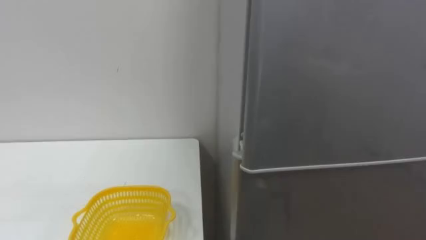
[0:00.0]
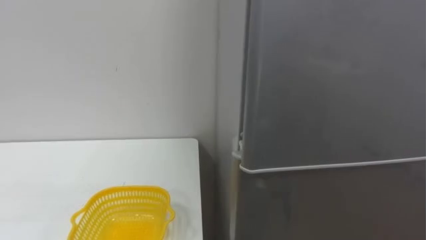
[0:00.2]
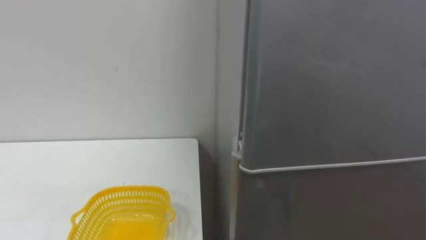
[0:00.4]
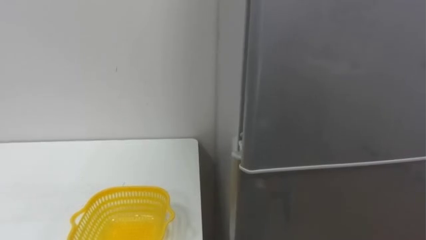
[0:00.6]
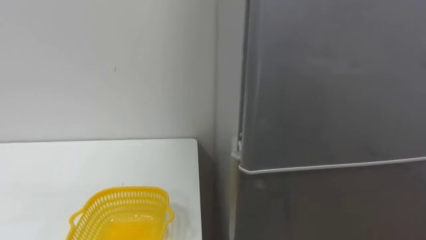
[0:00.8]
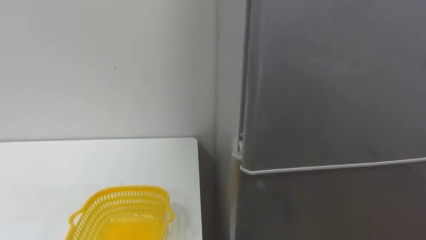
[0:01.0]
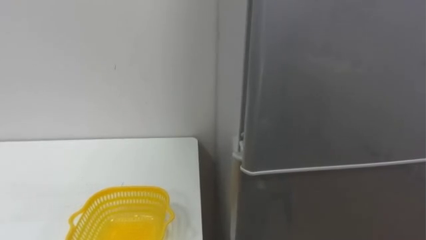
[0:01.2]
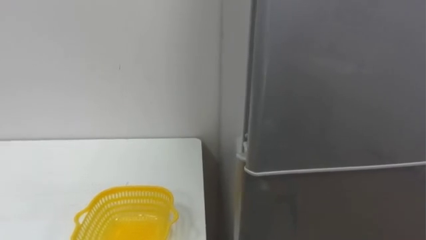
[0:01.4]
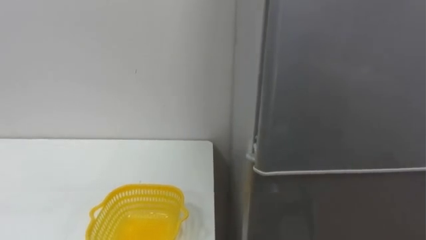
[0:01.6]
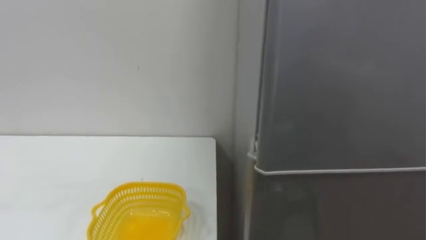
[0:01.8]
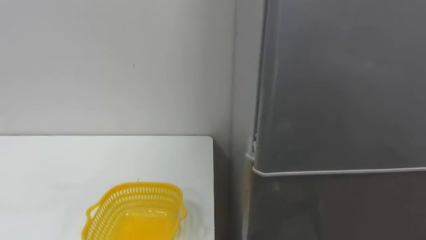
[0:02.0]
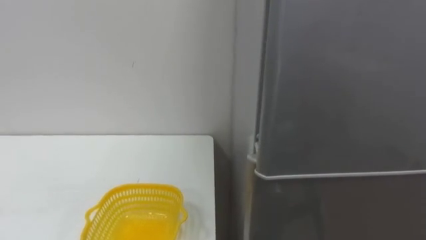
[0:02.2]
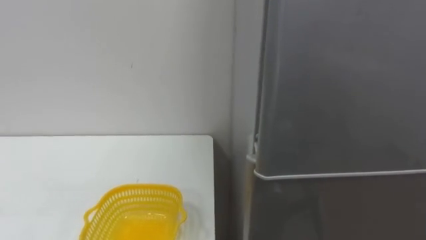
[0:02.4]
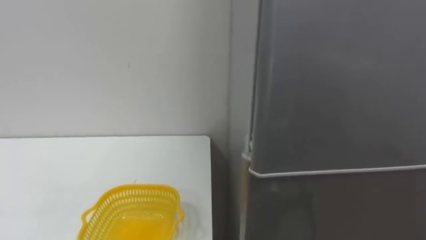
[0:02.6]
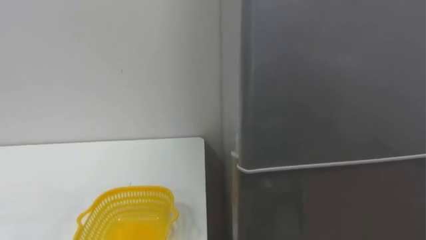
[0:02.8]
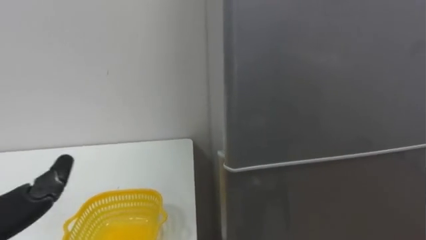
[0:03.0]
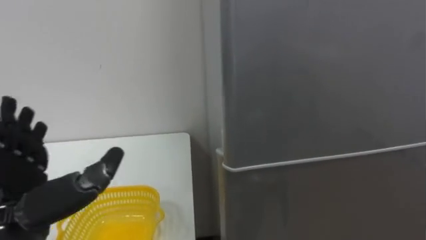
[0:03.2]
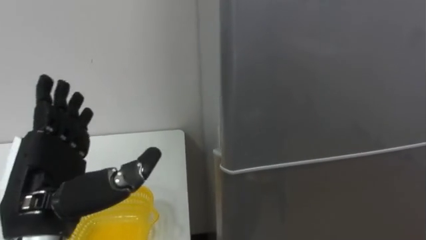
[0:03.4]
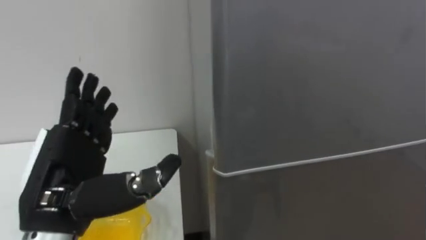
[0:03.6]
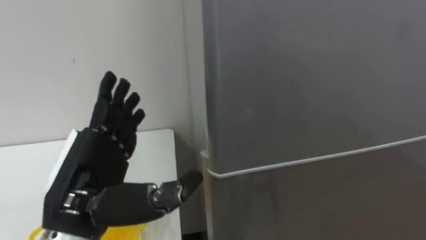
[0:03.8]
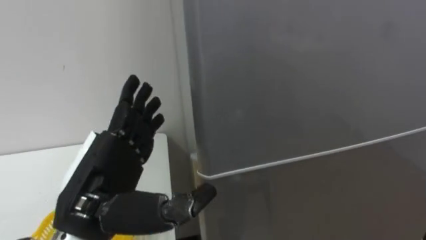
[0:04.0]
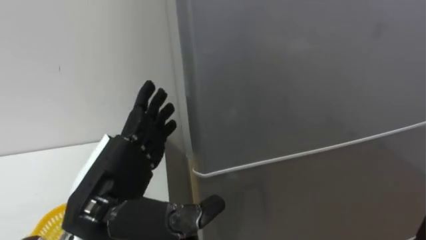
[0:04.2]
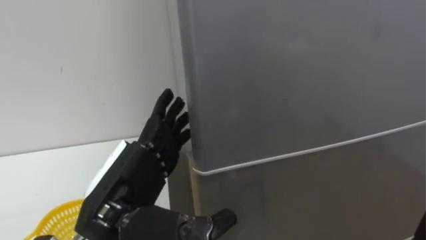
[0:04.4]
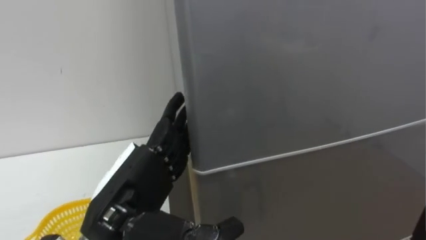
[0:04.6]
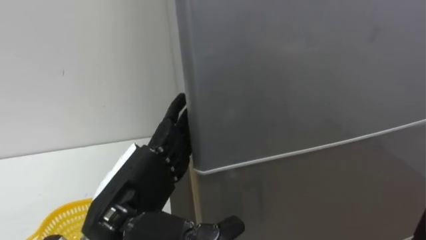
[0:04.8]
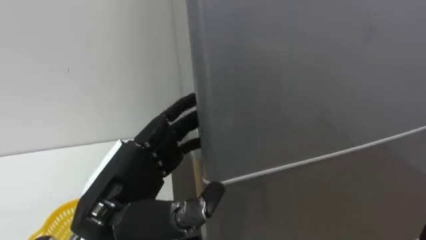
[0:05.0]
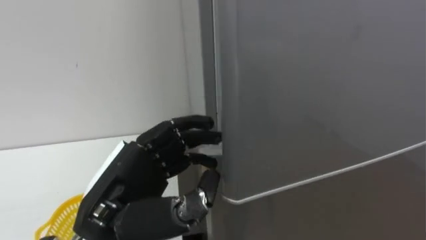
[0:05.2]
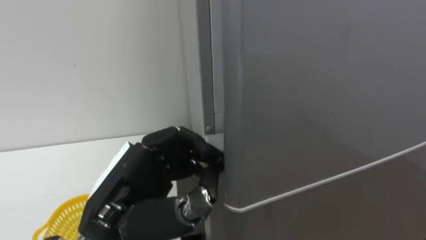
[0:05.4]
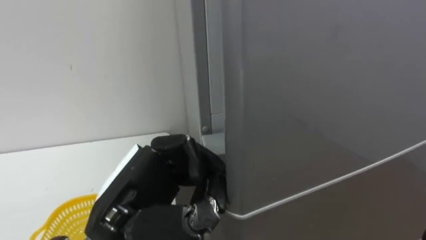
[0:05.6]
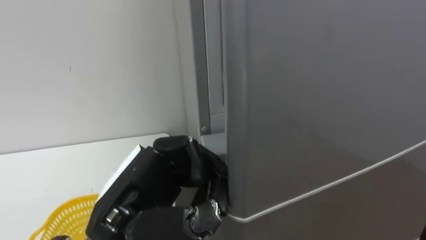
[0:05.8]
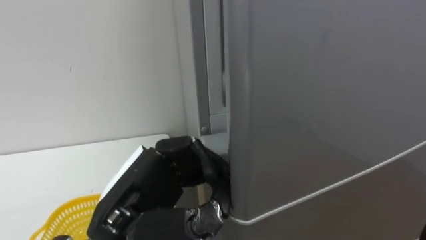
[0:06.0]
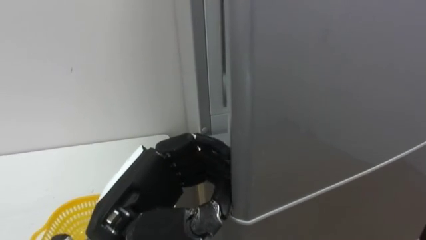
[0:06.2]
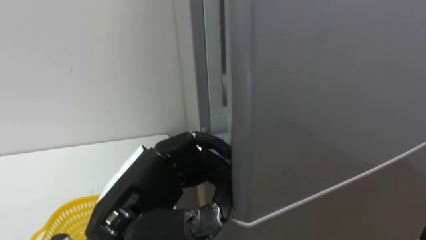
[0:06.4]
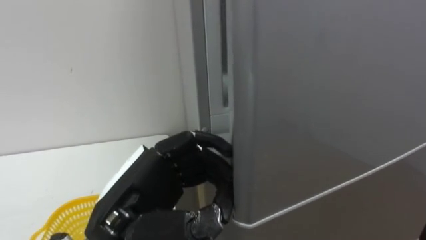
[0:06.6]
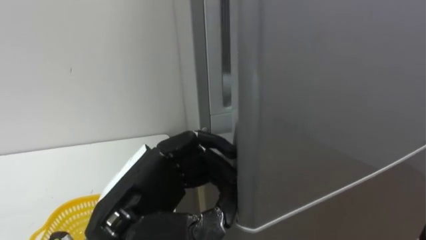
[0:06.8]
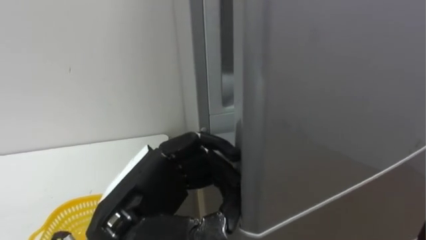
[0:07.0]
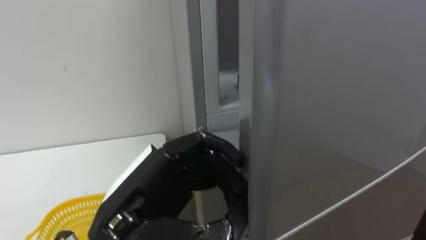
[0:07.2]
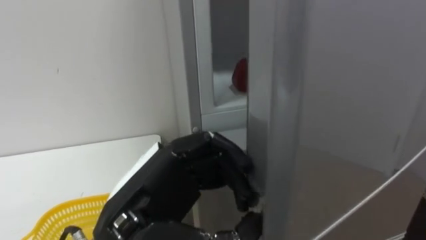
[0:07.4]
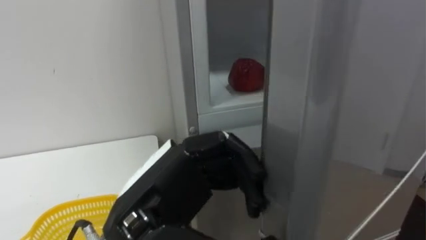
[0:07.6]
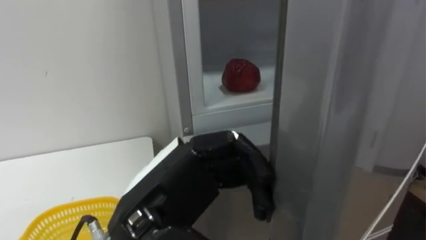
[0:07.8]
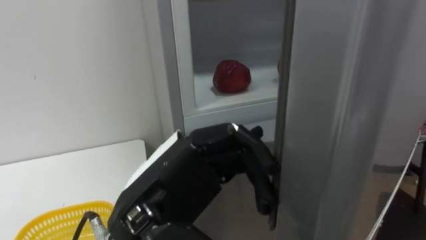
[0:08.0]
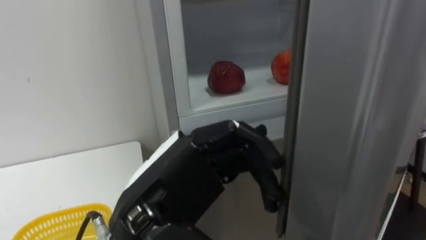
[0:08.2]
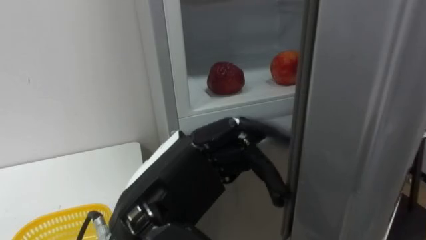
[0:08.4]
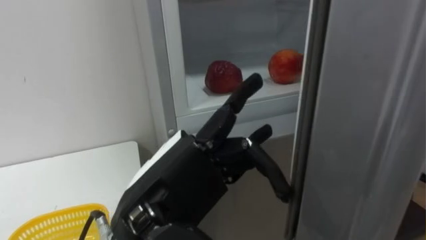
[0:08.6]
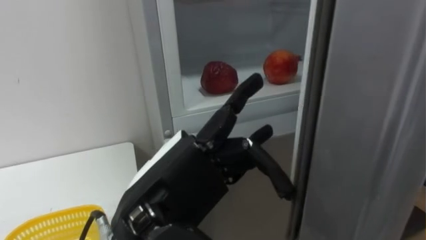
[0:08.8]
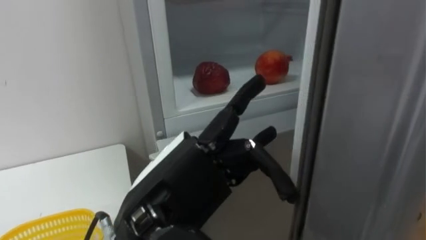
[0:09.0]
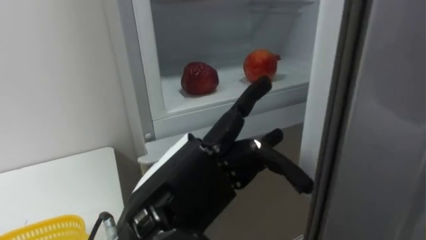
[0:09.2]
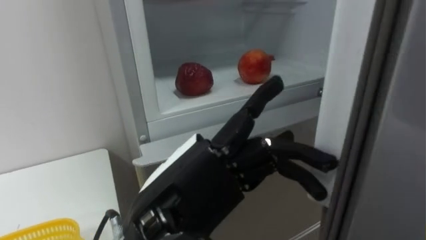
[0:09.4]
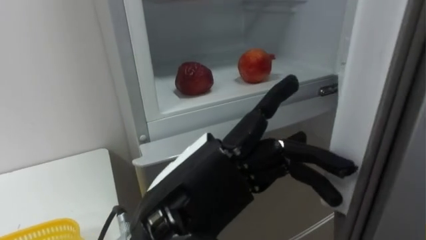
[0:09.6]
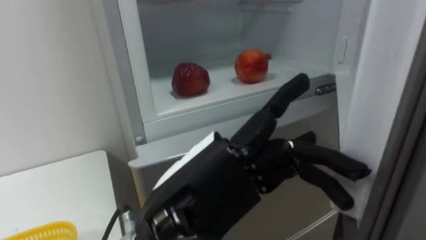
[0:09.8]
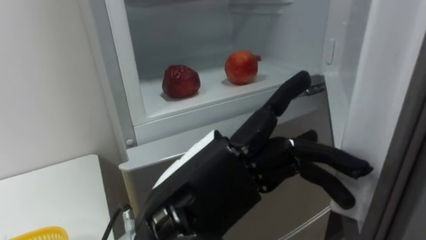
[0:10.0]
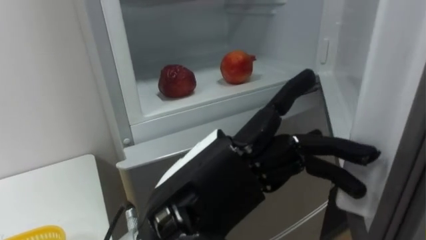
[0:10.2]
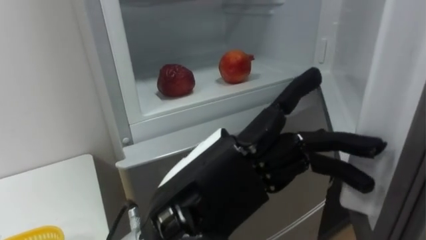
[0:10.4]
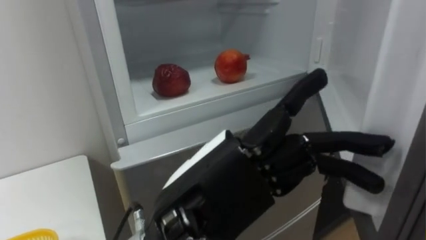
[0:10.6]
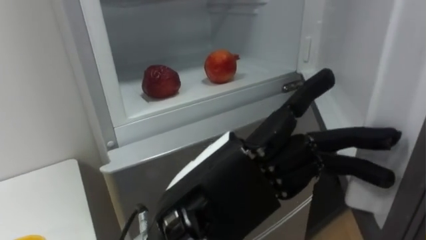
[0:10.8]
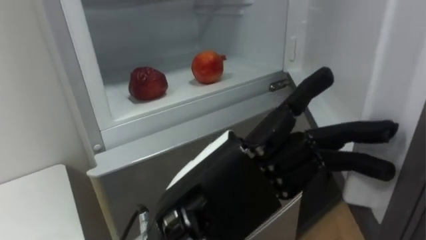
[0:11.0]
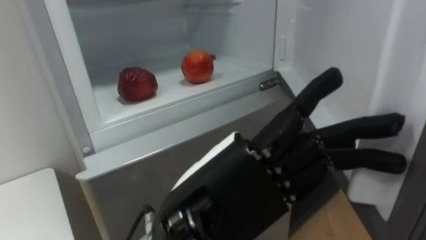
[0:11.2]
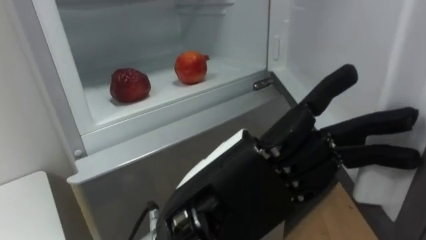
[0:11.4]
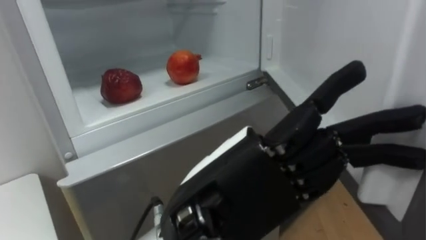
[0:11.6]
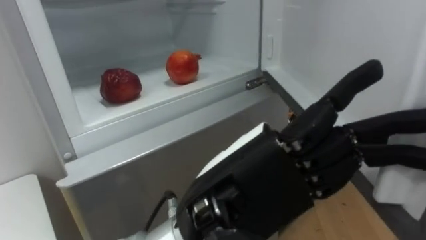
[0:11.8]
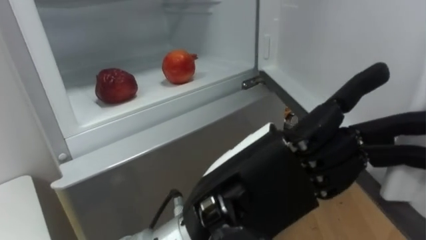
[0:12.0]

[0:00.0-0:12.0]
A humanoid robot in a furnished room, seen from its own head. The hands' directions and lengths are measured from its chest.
Task of the whole recording: Open the refrigerator door, take out the apple and the pomegranate, place them in the fruit basket on the left, and close the refrigerator door.
0:04.4 to 0:06.0: The left hand closes.
0:06.0 to 0:07.6: The left hand opens.

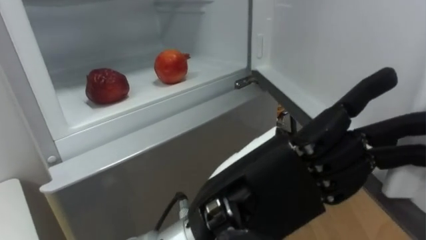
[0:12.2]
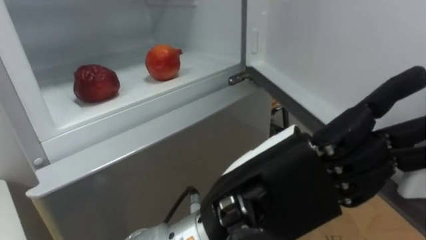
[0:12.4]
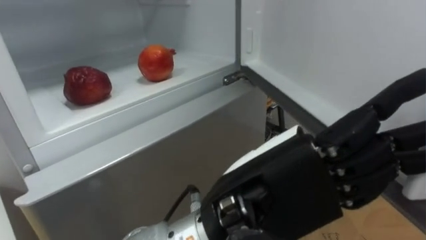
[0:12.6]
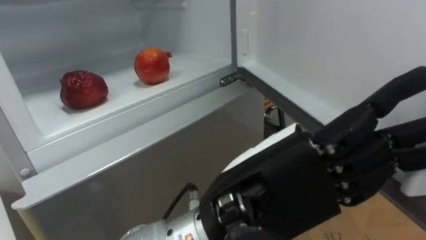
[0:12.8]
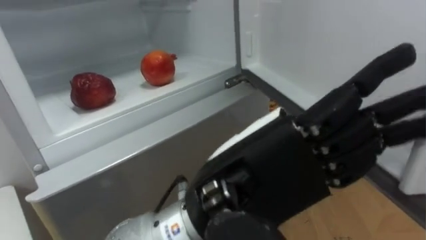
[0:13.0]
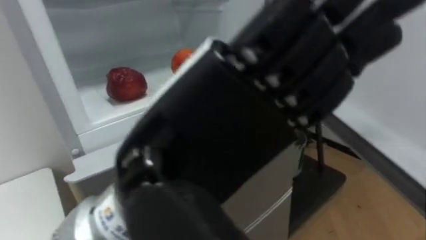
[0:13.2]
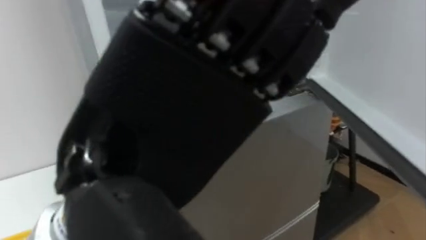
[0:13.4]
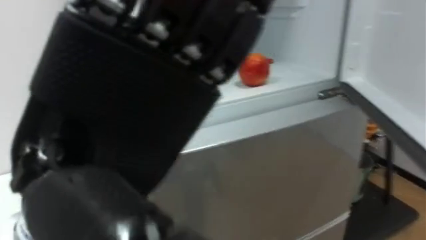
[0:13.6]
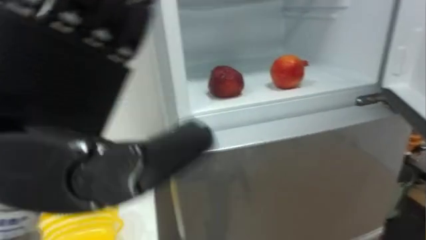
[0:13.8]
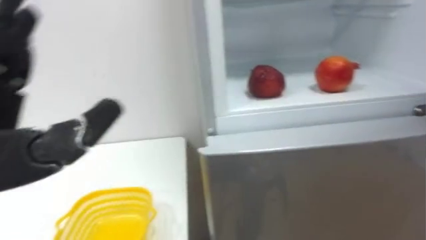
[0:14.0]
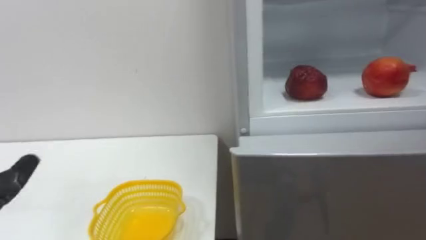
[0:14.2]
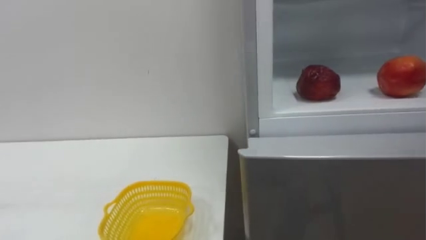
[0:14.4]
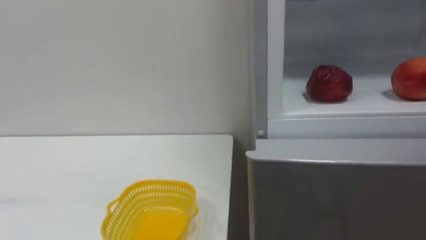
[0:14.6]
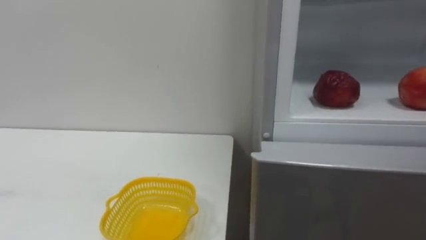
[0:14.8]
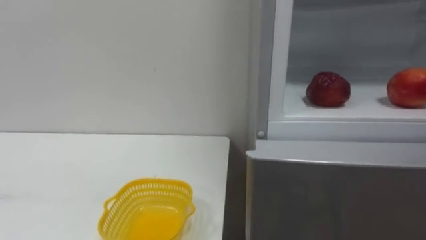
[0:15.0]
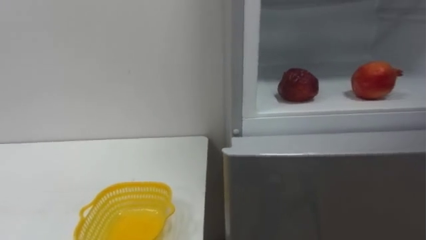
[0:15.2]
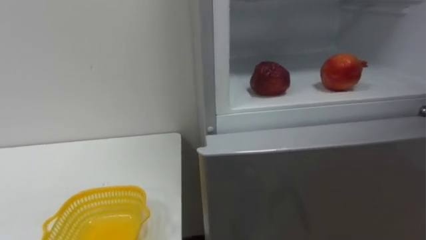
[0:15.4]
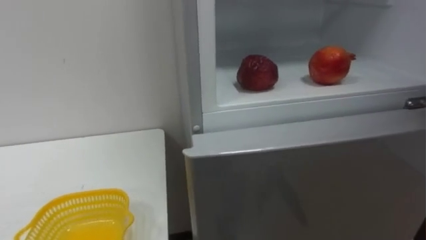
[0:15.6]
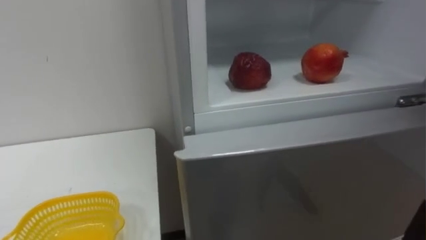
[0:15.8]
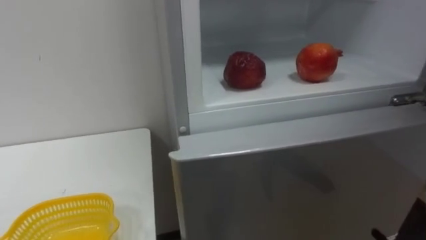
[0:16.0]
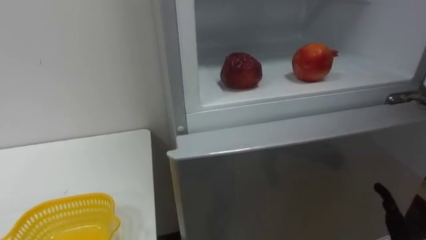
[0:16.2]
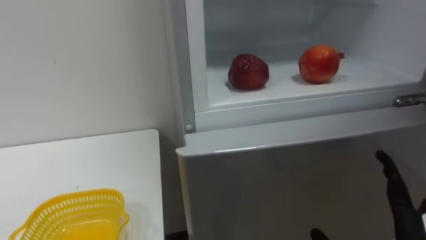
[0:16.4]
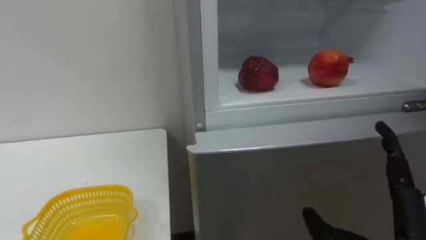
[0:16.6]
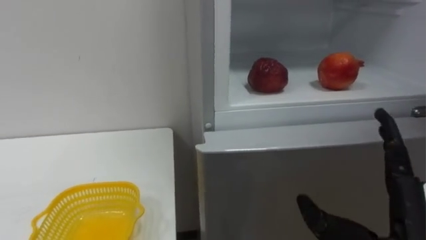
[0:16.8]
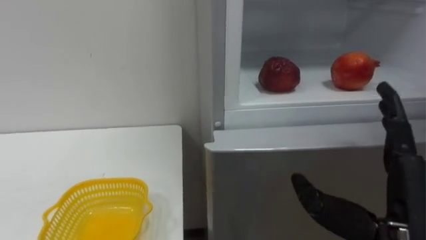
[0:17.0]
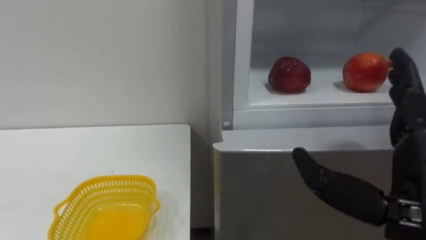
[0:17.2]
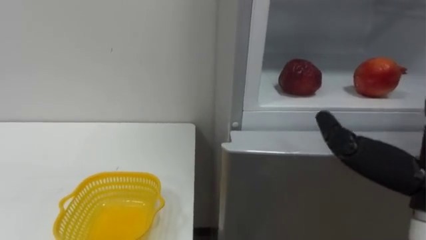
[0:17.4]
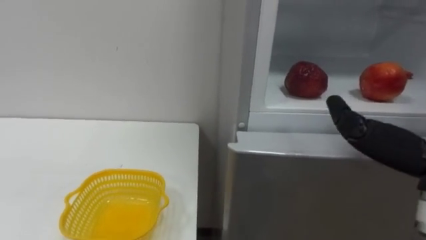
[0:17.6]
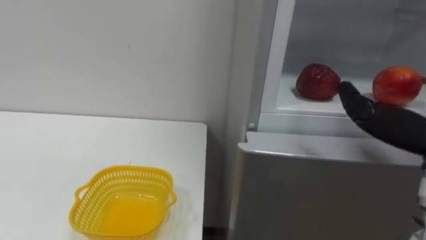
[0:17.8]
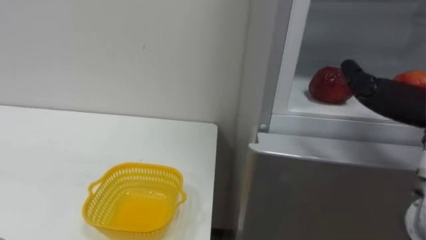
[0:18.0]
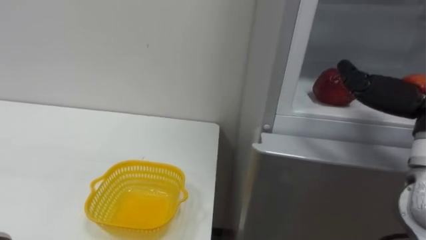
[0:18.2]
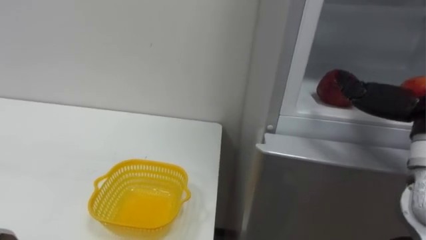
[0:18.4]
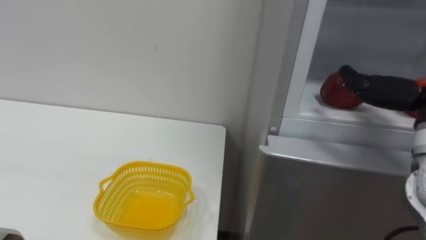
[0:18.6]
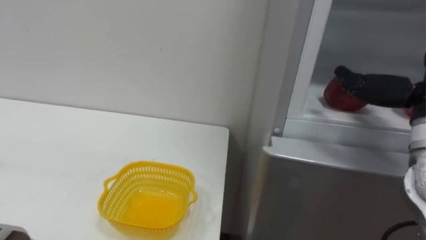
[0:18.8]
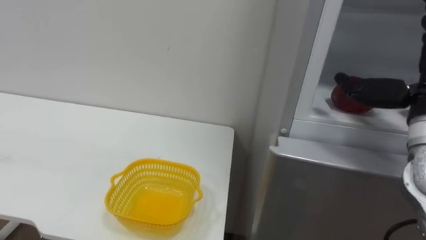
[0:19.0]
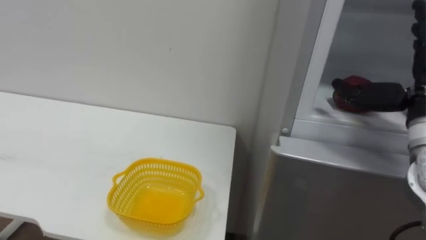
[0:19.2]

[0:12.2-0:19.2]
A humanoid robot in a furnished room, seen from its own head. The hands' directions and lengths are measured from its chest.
Task of the whole recording: Open the refrigerator door, take out the apple and the pomegranate, place them in the fruit basket on the left, and close the refrigerator door.
0:12.2 to 0:13.6: The left hand shifts some 15 cm to the left and upward.
